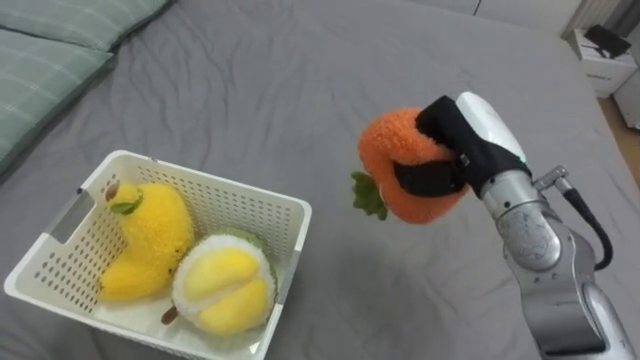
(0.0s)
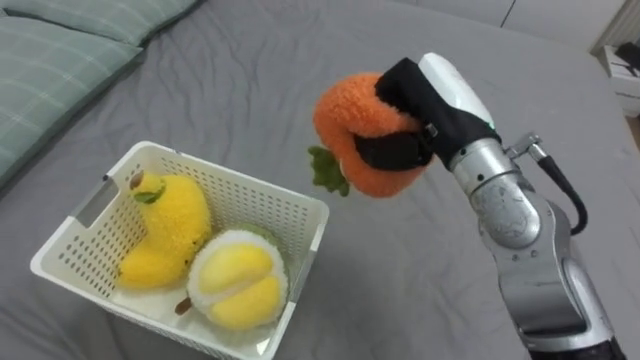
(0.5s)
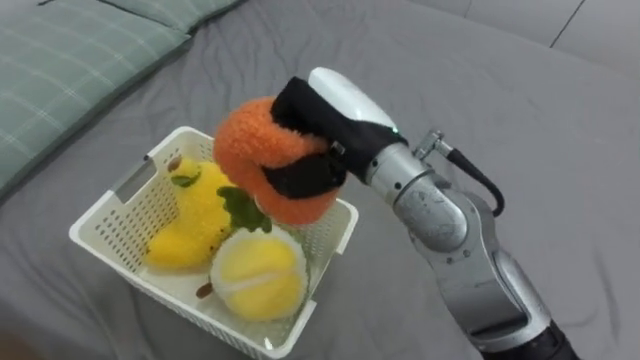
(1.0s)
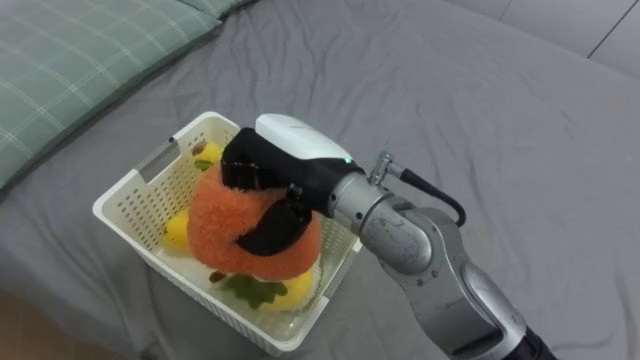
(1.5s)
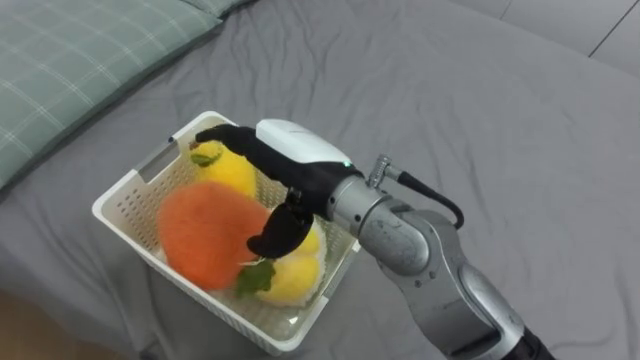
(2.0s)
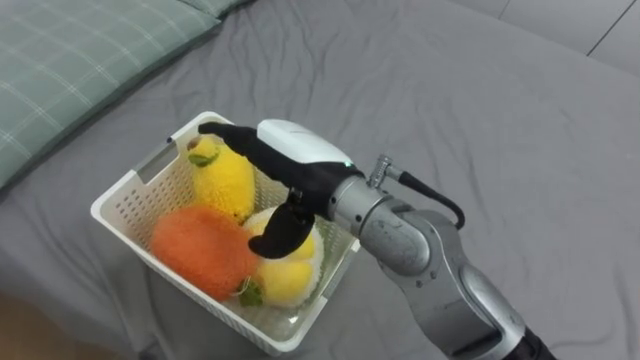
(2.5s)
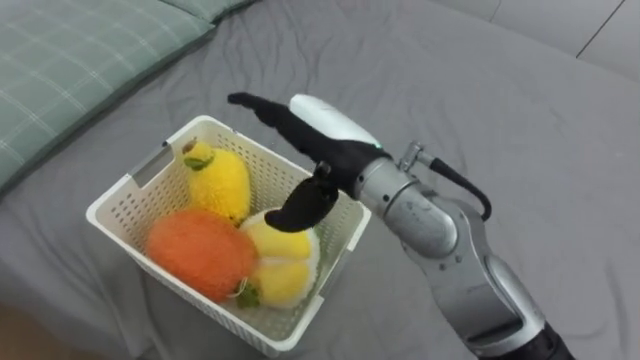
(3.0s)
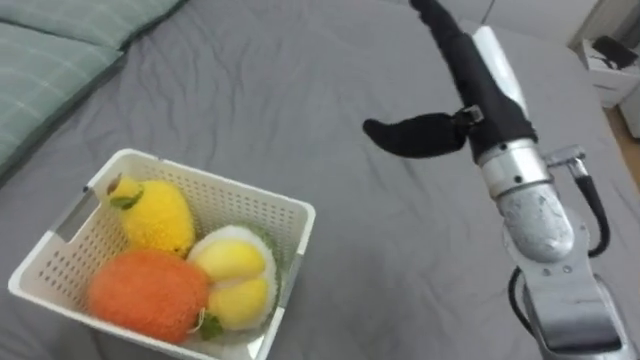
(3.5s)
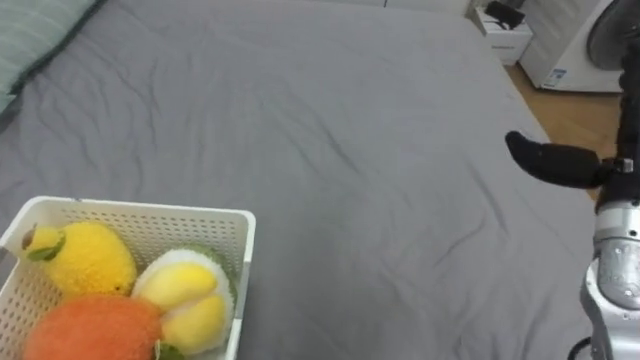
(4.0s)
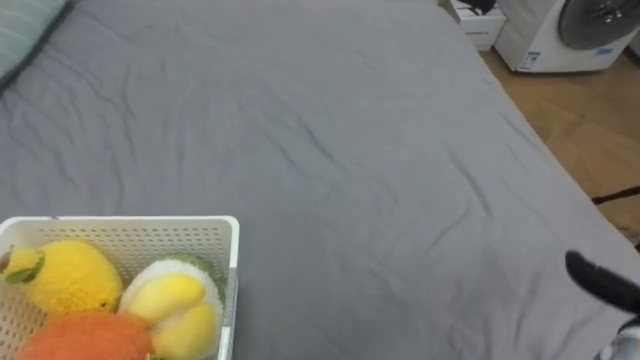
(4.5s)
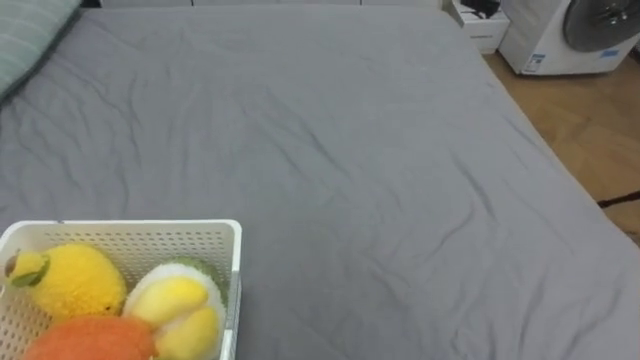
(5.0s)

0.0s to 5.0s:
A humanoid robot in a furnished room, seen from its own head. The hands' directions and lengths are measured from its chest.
Task of the whole recording: Put the toys on the bed into the basket on the left.
0.0s to 2.5s: The right hand travels to the left by roughly 20 cm, and opens its fingers.

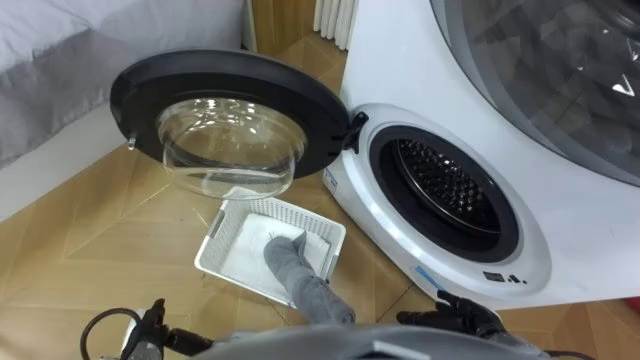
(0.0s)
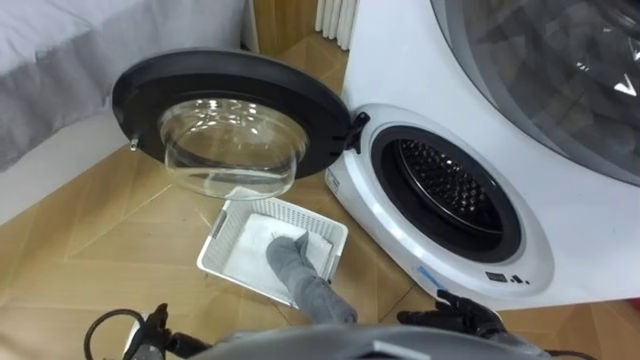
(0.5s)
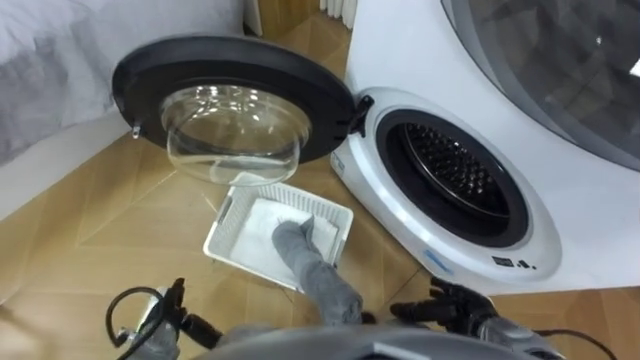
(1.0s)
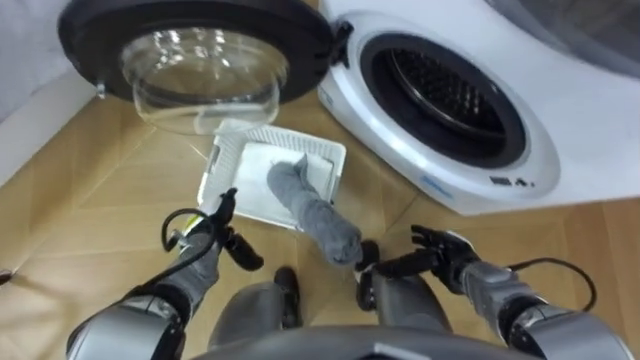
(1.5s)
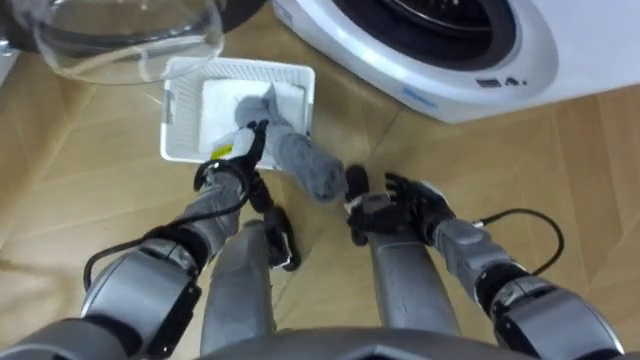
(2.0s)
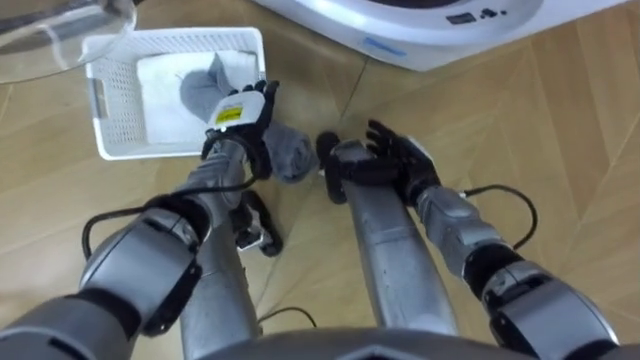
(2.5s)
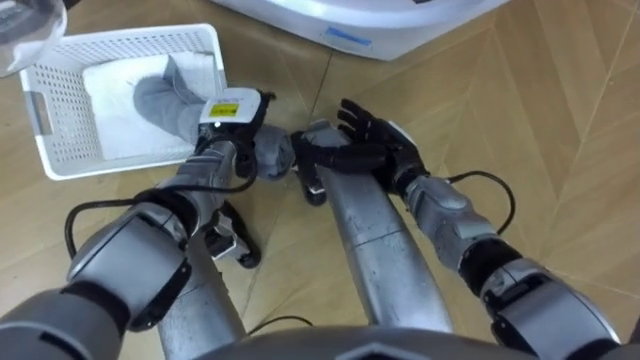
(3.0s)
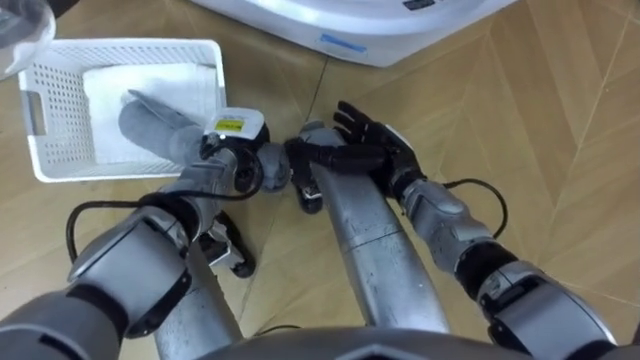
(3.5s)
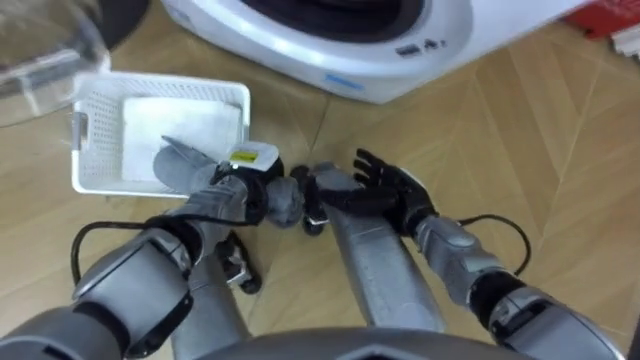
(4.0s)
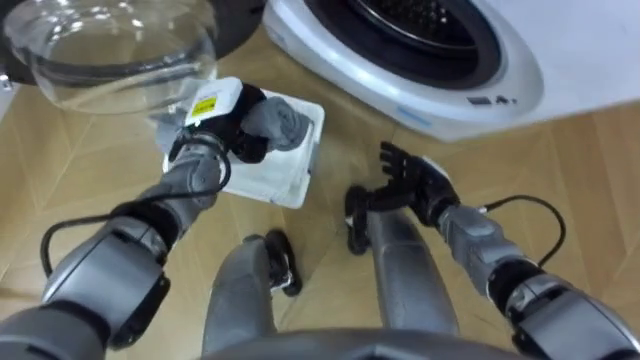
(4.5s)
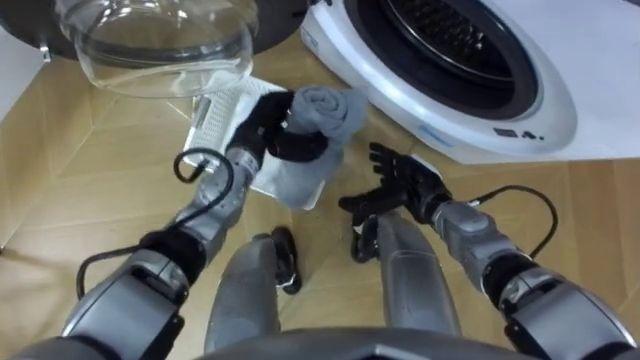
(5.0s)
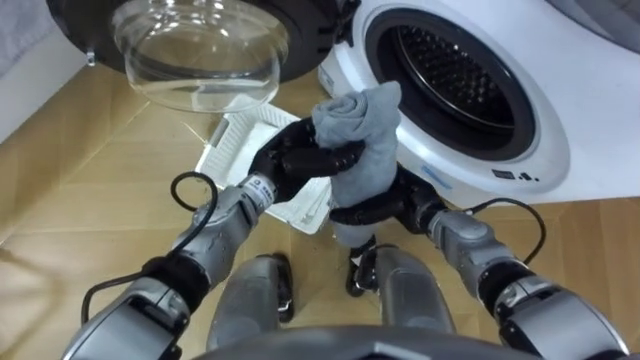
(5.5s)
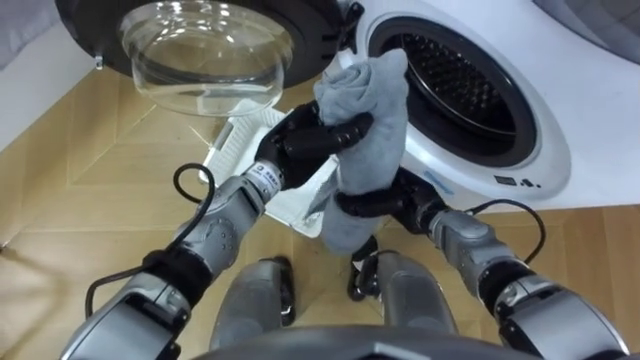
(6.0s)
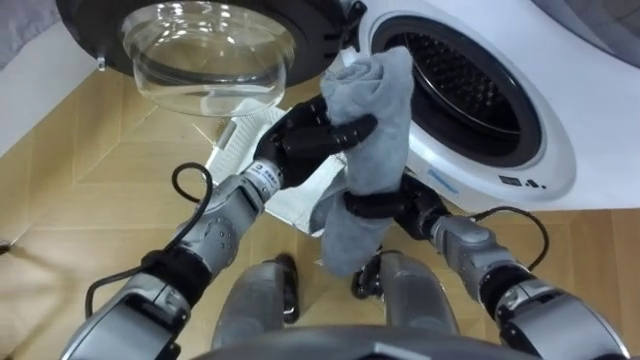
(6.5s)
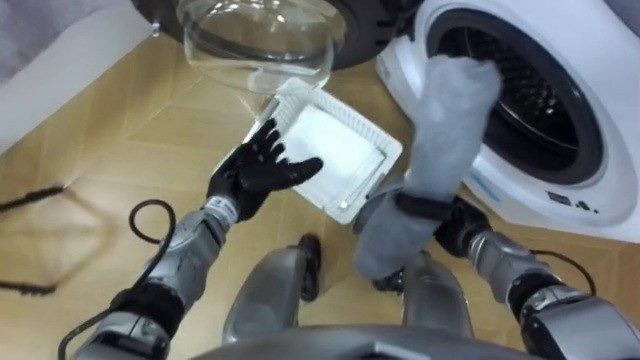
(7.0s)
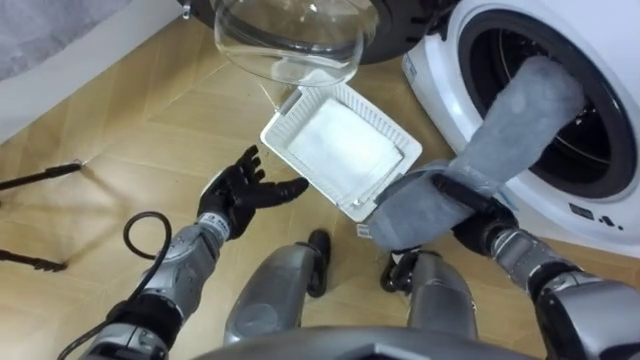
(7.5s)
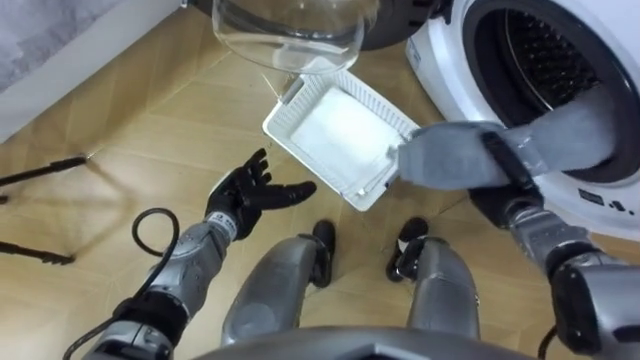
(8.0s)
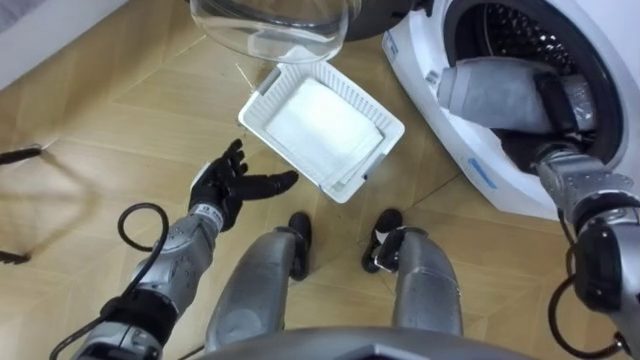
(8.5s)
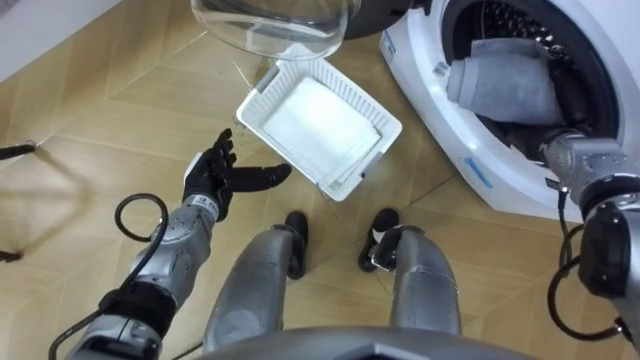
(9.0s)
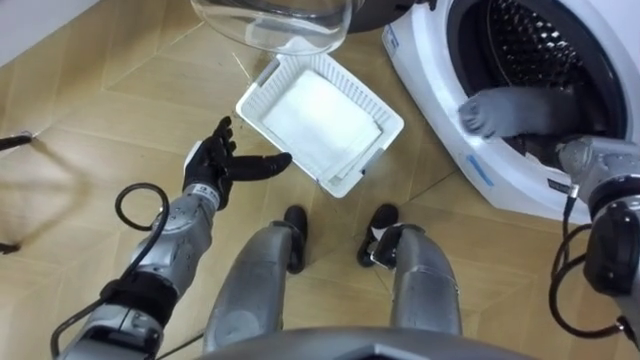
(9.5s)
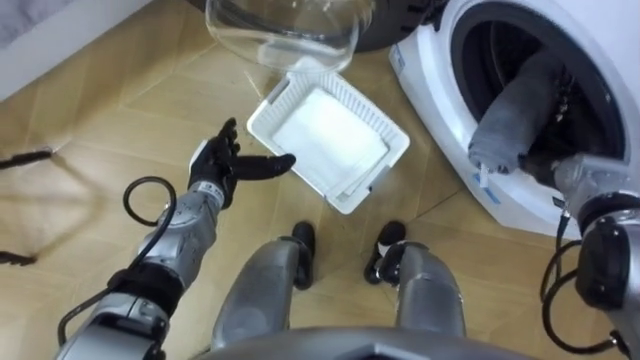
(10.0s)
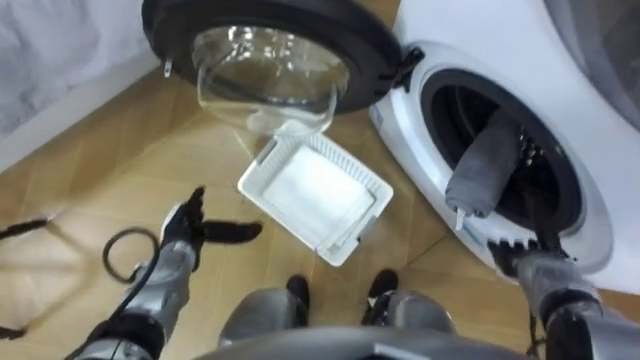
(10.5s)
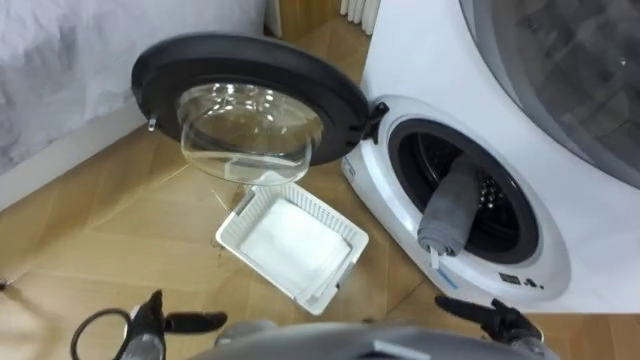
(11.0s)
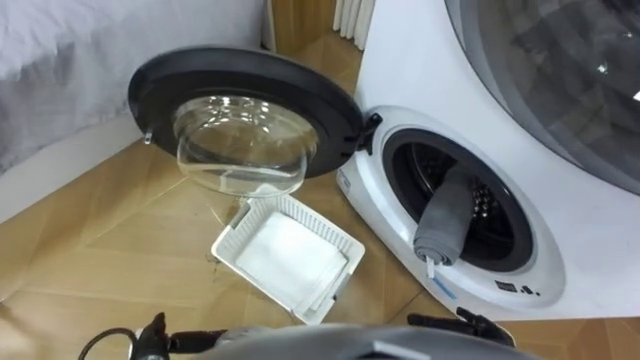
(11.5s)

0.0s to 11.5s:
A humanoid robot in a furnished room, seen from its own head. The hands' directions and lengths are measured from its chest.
Task of the whole recording: Take the towel from the basket and put it into the washing machine.
2.0s to 4.0s: The left hand closes up.
4.0s to 6.0s: The right hand closes its fingers, while the left hand travels upward and to the right by roughly 10 cm.
6.0s to 7.5s: The left hand goes about 15 cm to the left and downward, and opens up. Meanwhile the right hand moves to the right, roughly 10 cm.
7.5s to 9.5s: The right hand shifts roughly 15 cm to the right, upward and forward, and opens its fingers, while the left hand ends up approximately 5 cm from where it was.
9.5s to 11.5s: Both hands move backward and downward, some 30 cm.

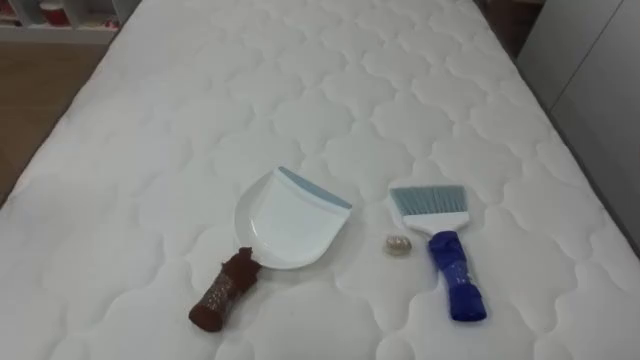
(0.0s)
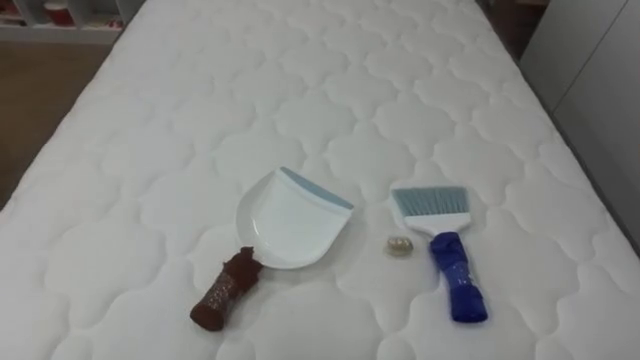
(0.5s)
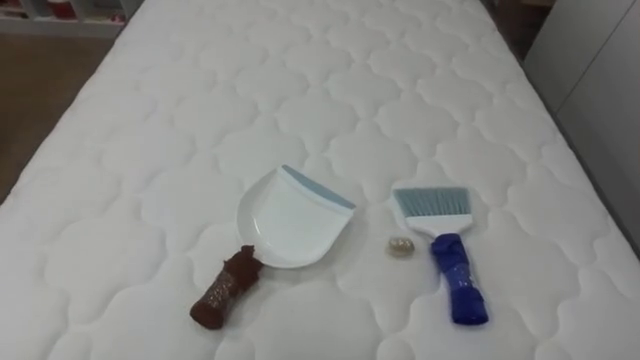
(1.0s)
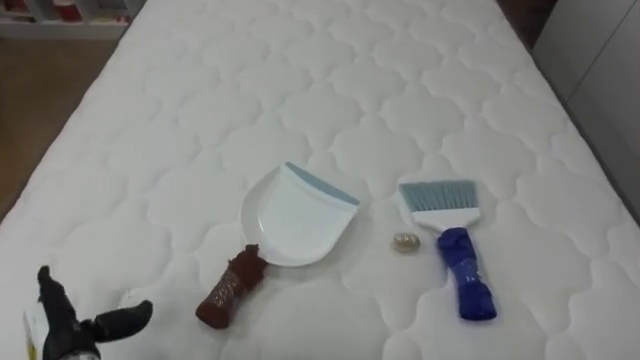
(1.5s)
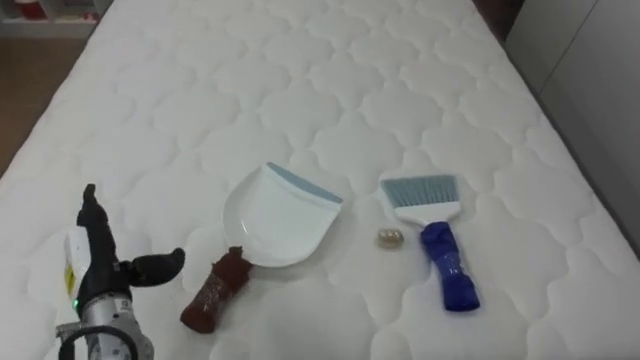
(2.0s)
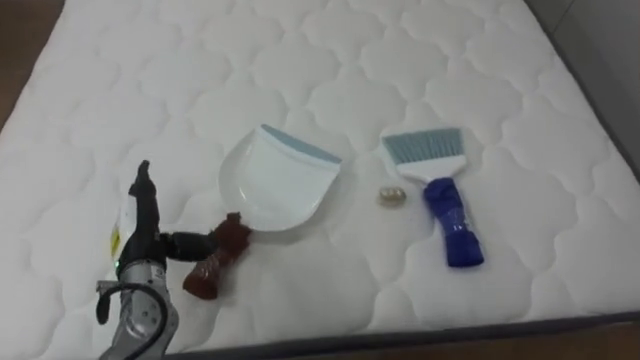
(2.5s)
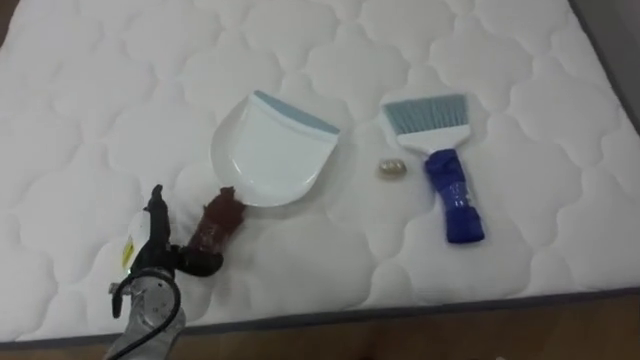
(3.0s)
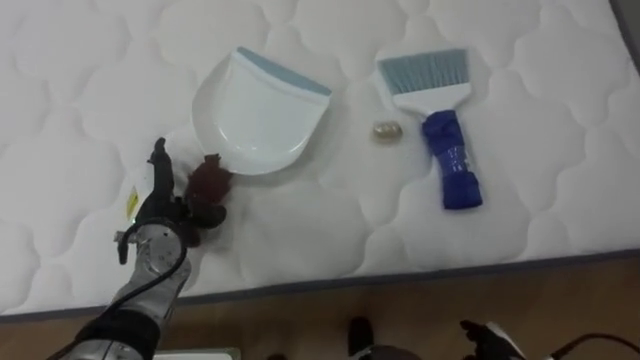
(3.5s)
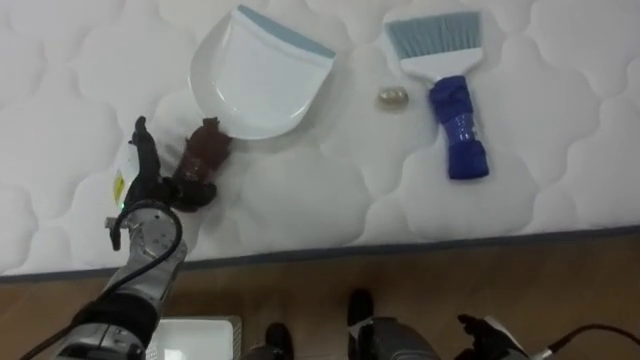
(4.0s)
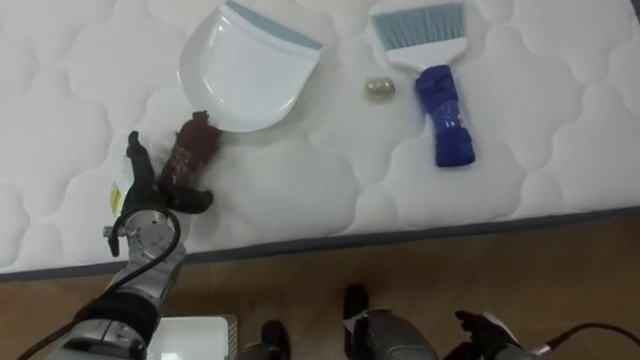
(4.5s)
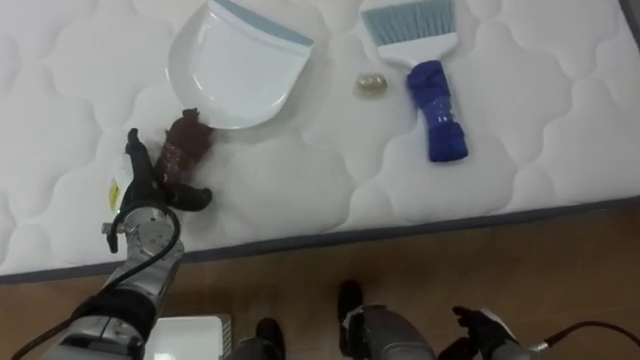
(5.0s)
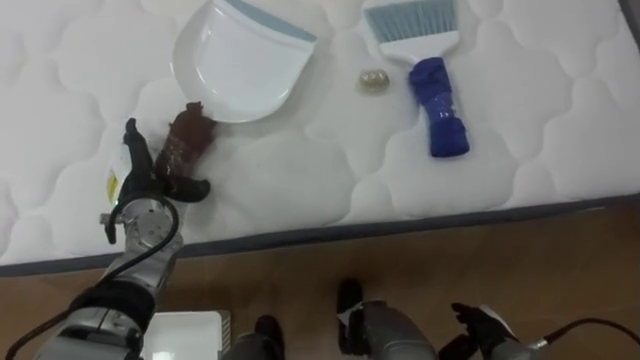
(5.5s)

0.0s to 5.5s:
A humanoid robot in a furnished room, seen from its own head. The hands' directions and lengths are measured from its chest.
Task of the whole recording: Pick up the brush on your right and the dustpan on your left. Use the brush to sweep the crumpled paper on the bed into the dustpan, then turn left and empty it into the basket.
2.0s to 3.5s: The left hand heads forward and to the right, covering about 10 cm.
